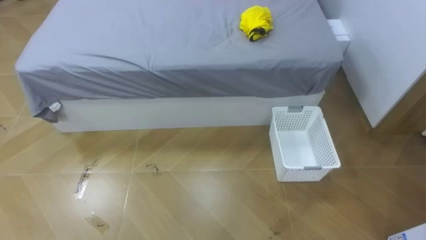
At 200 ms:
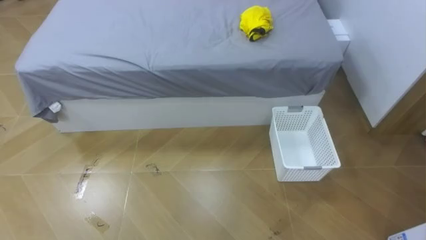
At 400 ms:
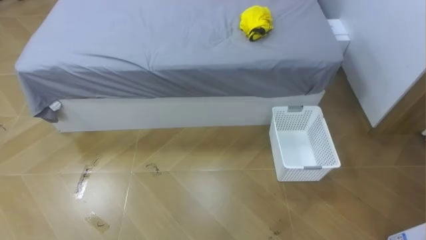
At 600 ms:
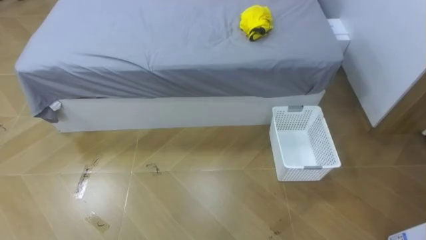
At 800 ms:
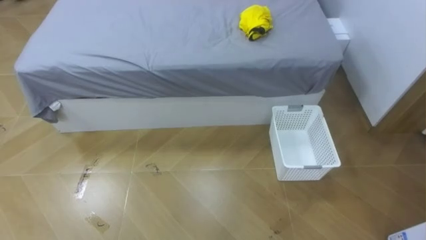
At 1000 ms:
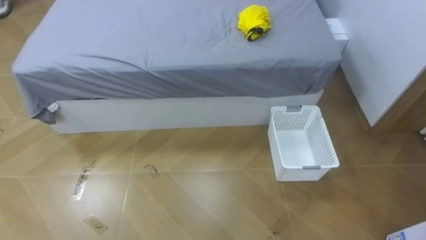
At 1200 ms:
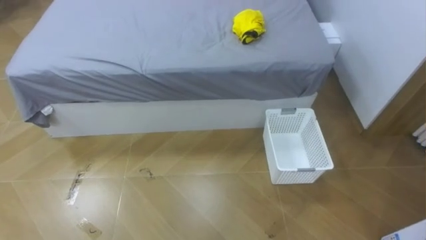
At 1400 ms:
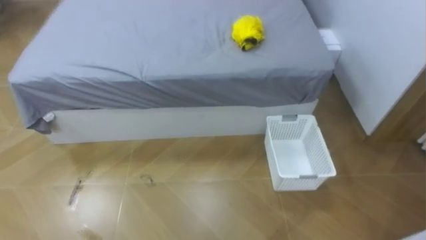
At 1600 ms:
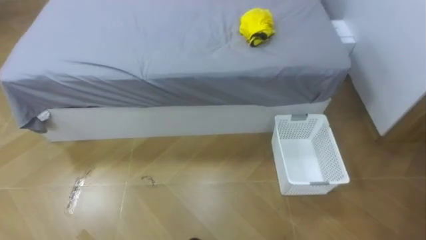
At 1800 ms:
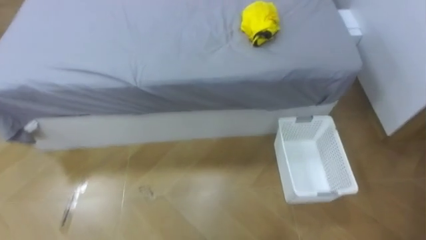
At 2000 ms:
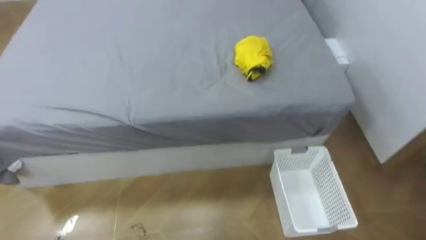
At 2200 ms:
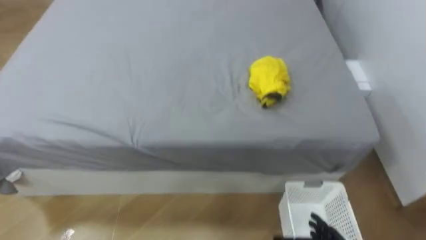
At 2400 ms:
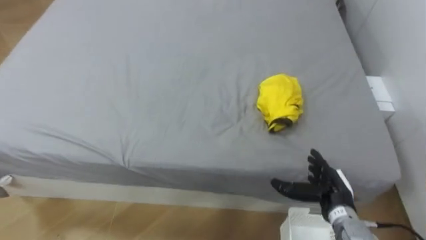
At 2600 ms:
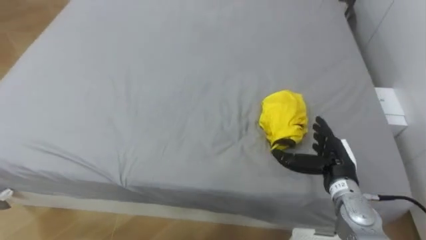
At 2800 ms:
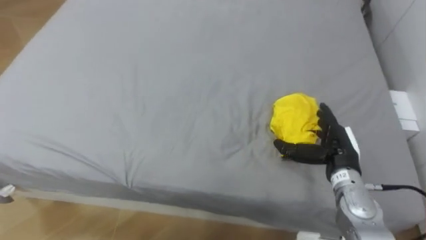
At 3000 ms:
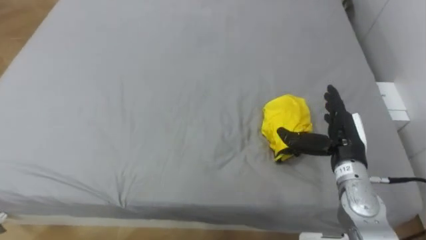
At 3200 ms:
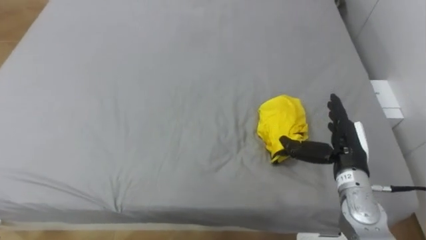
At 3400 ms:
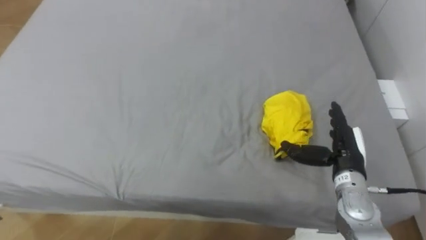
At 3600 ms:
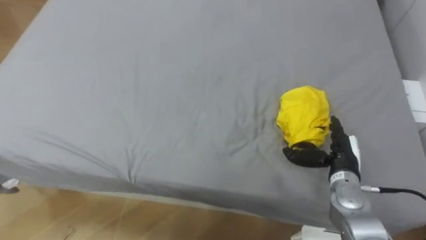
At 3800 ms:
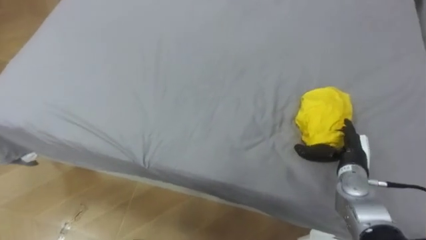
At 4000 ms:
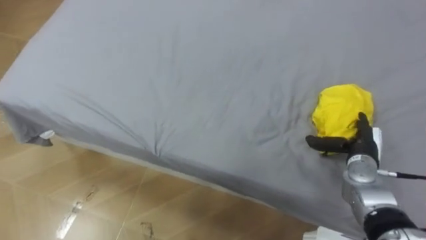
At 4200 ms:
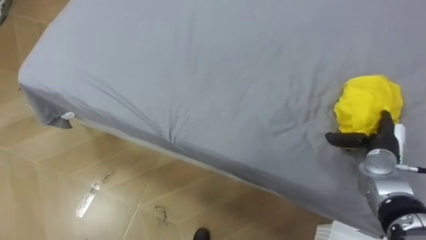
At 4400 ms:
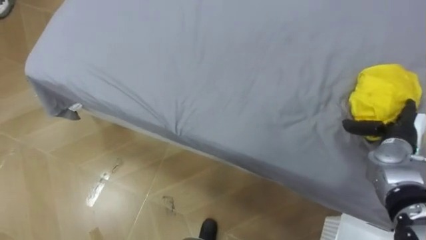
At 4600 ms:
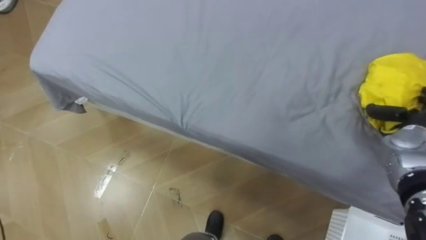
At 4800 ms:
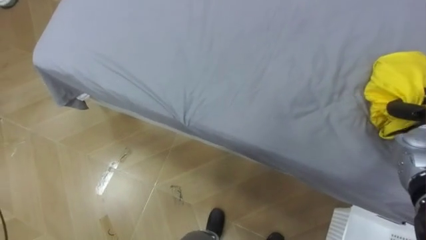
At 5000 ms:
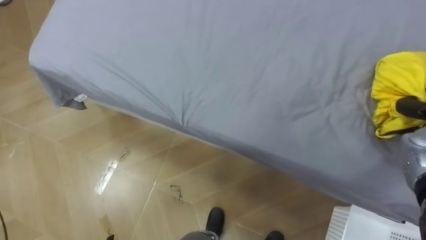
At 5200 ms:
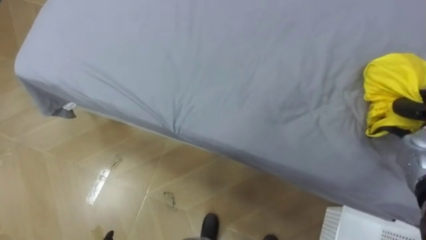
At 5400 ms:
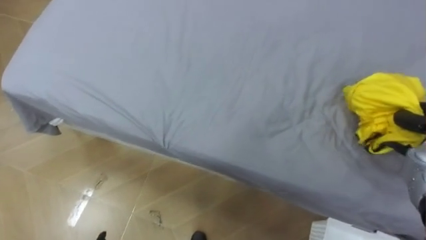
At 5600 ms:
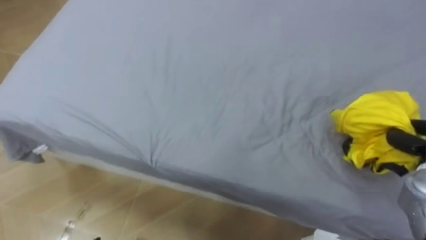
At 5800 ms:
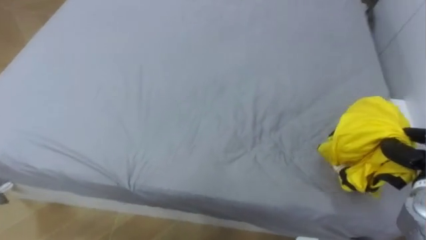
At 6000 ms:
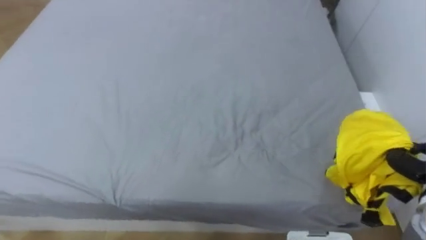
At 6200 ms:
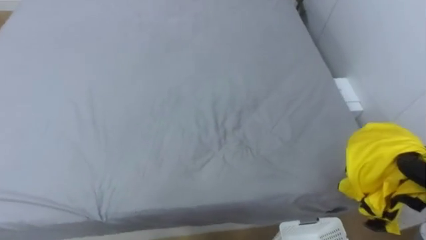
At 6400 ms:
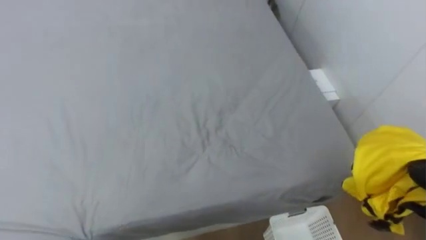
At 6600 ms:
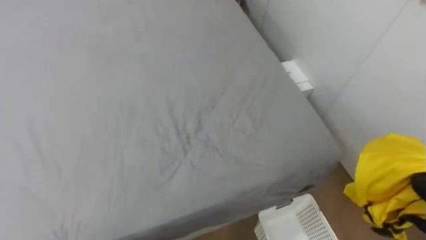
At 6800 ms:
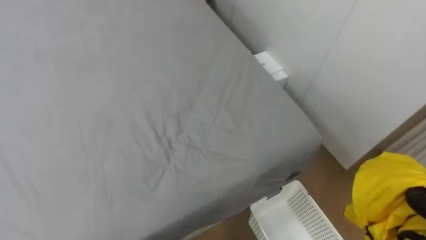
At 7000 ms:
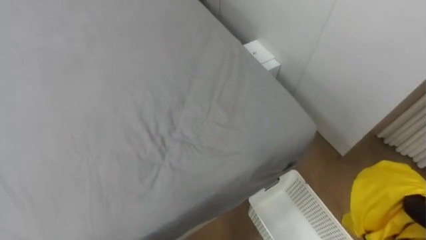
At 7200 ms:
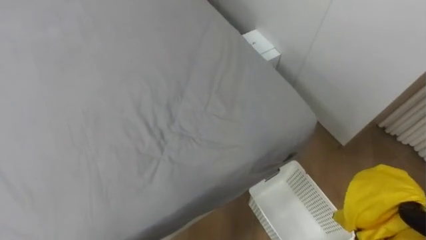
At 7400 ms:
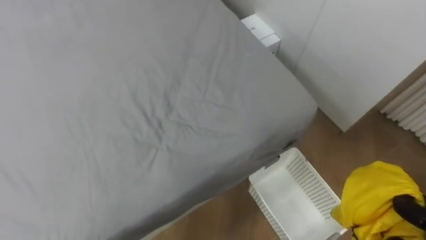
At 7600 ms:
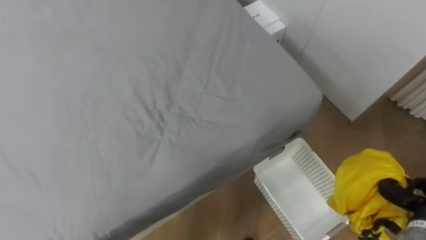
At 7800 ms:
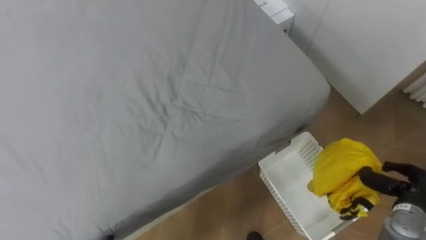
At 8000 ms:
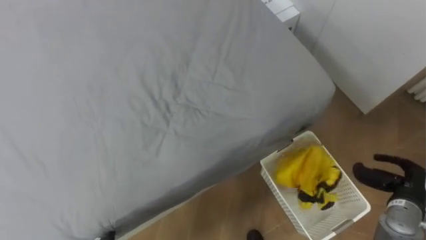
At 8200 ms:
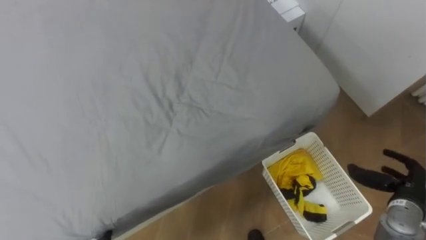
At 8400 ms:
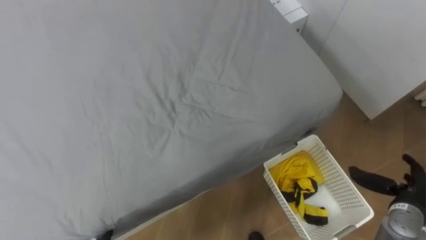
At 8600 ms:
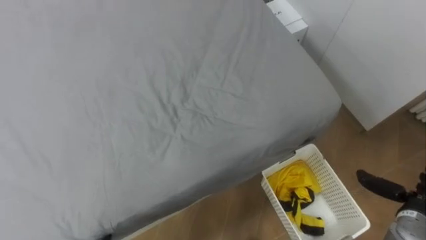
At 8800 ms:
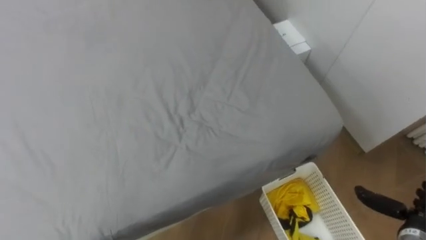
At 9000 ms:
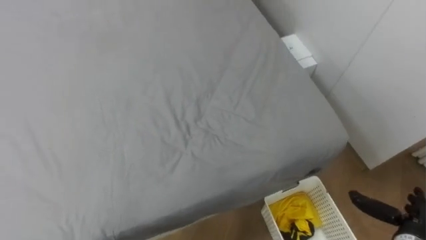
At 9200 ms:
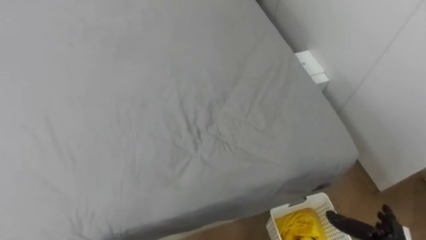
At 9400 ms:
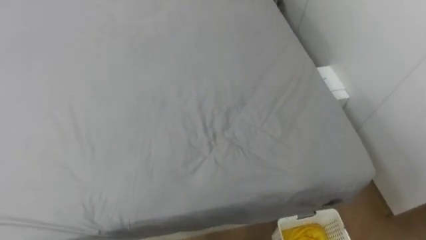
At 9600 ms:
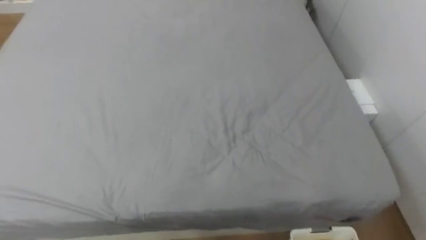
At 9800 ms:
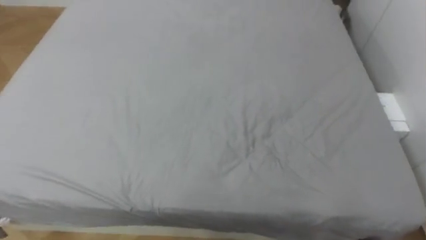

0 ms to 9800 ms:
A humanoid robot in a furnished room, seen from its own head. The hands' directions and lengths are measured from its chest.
Task of the whole recording: Pick up the yellow clothes on the bed and place them into the white basket on the right.
2800 ms to 4200 ms: The right hand shifts about 10 cm to the right.
8400 ms to 9800 ms: The robot rotates roughly 20 degrees to its left.

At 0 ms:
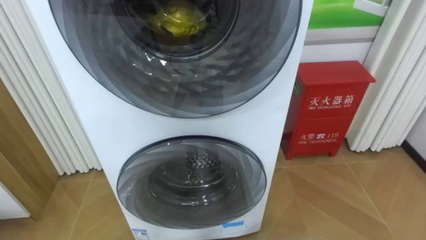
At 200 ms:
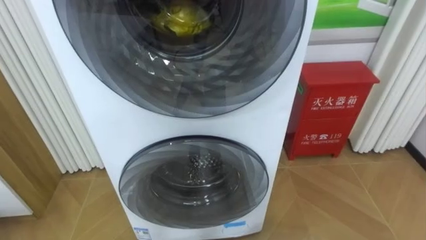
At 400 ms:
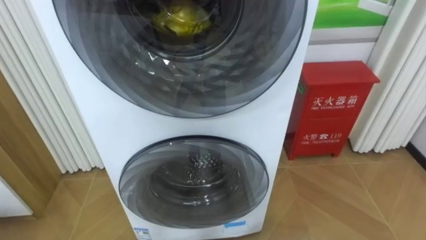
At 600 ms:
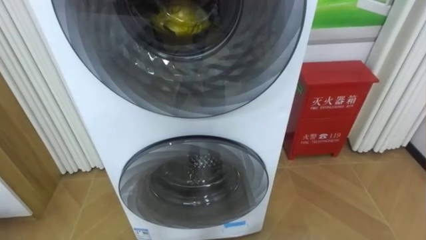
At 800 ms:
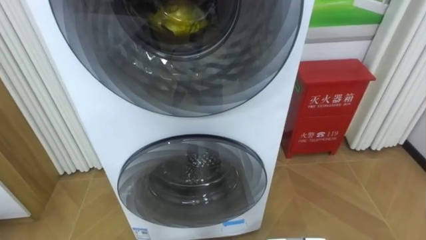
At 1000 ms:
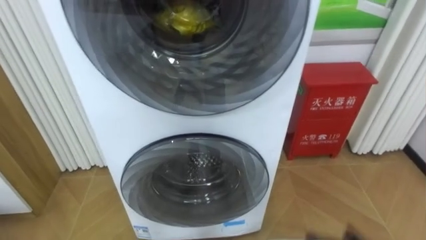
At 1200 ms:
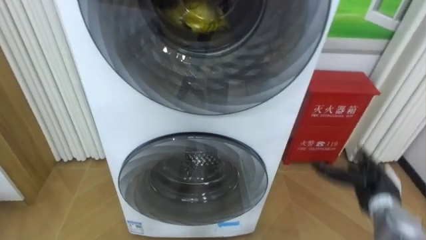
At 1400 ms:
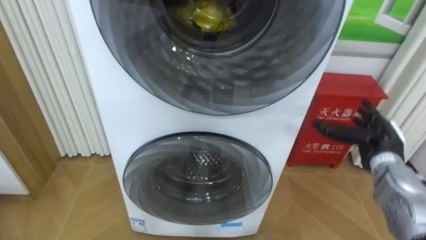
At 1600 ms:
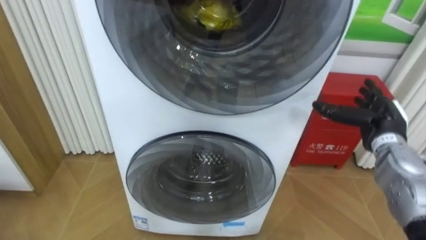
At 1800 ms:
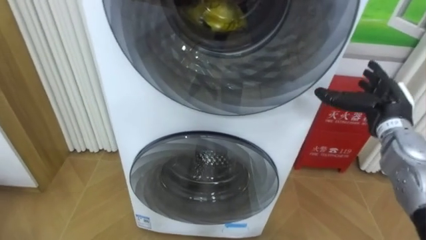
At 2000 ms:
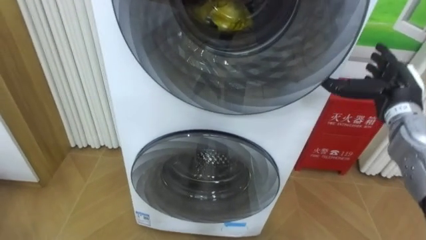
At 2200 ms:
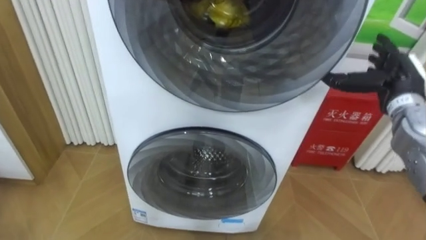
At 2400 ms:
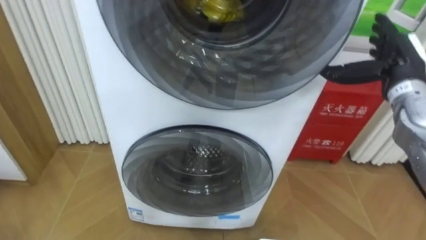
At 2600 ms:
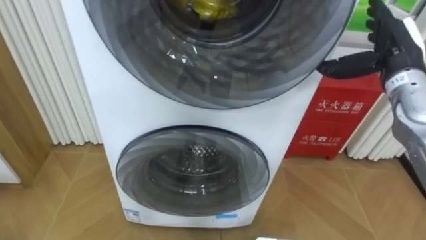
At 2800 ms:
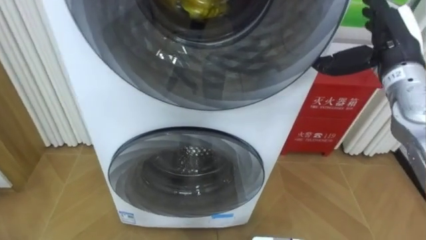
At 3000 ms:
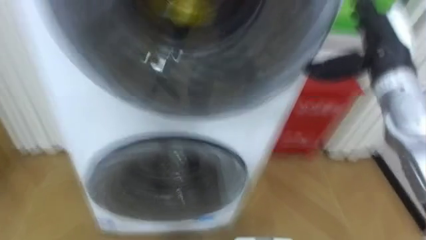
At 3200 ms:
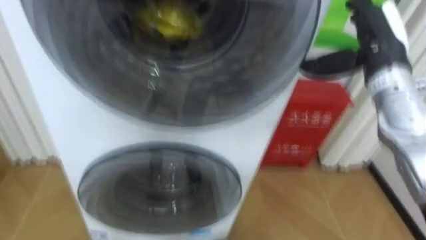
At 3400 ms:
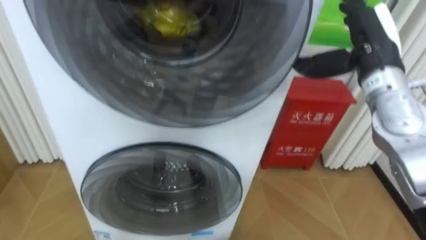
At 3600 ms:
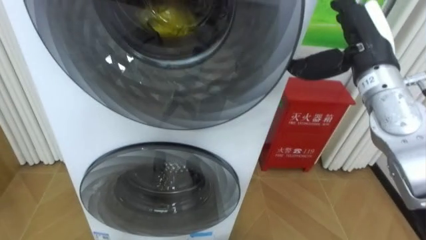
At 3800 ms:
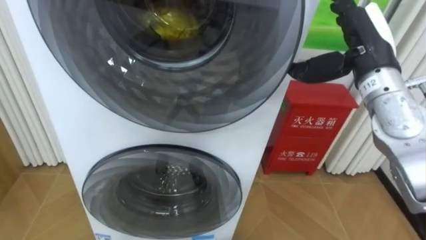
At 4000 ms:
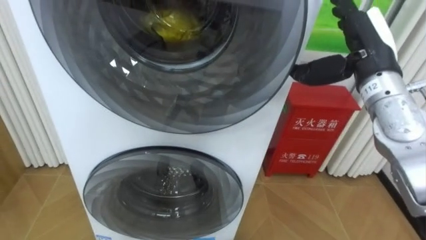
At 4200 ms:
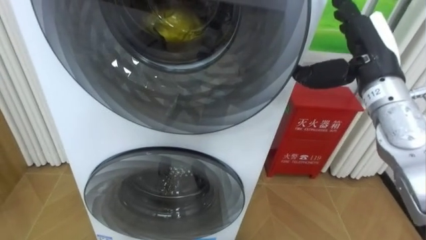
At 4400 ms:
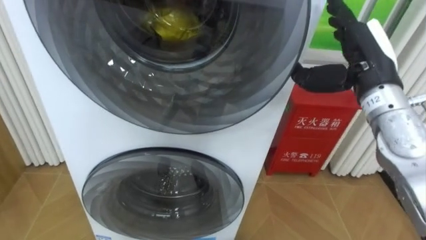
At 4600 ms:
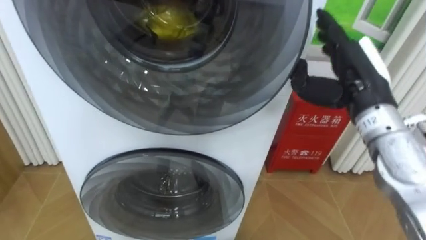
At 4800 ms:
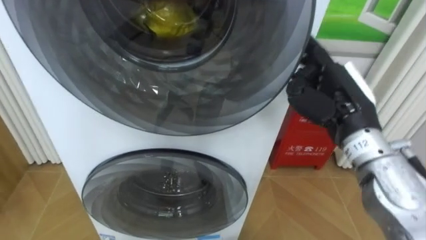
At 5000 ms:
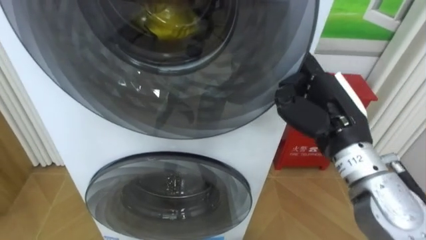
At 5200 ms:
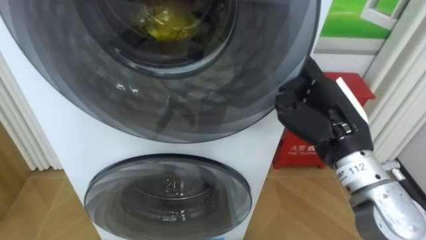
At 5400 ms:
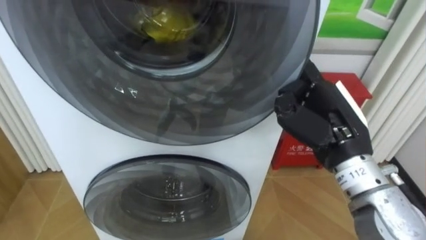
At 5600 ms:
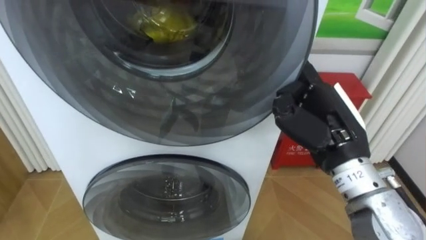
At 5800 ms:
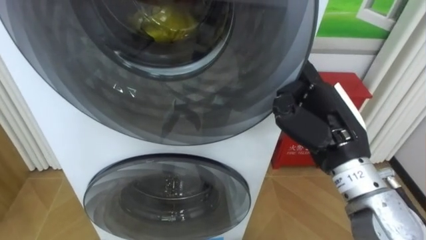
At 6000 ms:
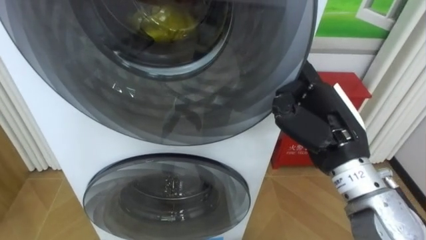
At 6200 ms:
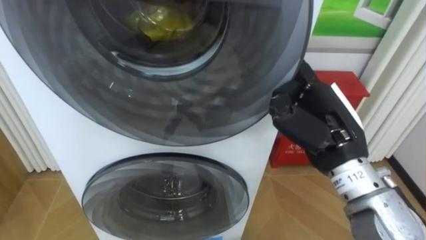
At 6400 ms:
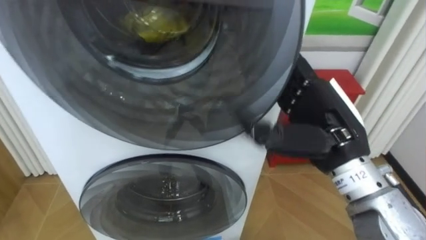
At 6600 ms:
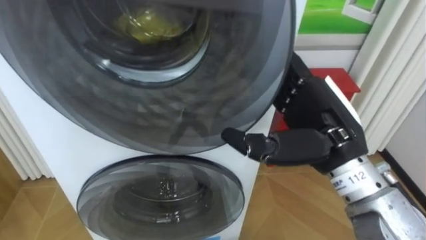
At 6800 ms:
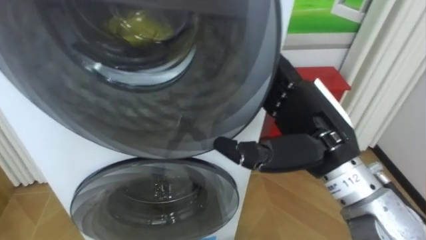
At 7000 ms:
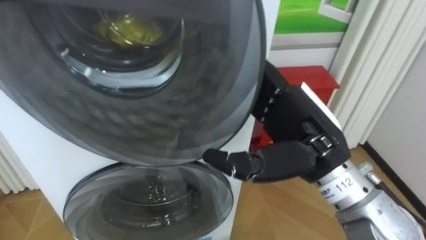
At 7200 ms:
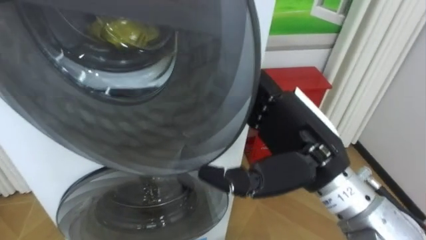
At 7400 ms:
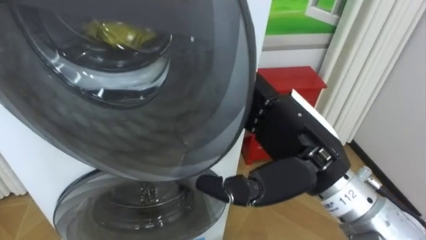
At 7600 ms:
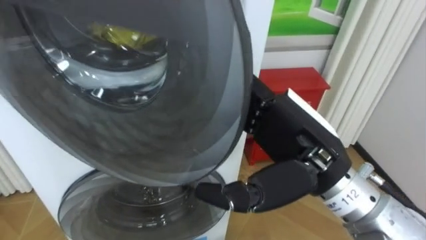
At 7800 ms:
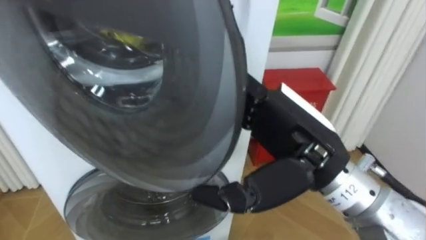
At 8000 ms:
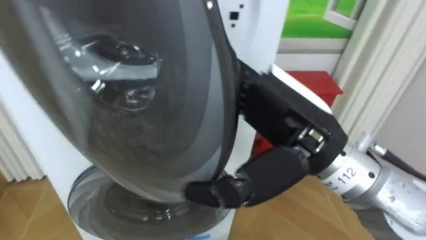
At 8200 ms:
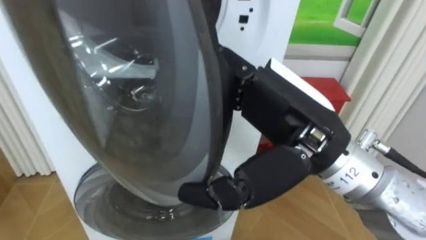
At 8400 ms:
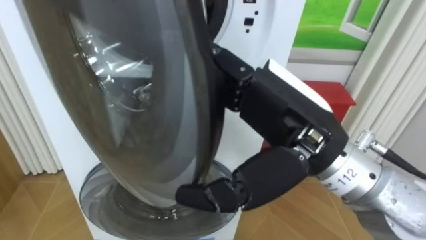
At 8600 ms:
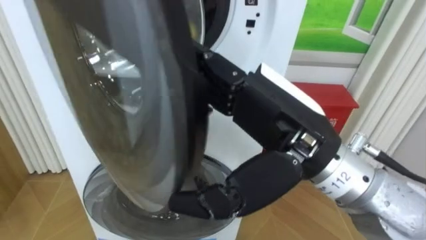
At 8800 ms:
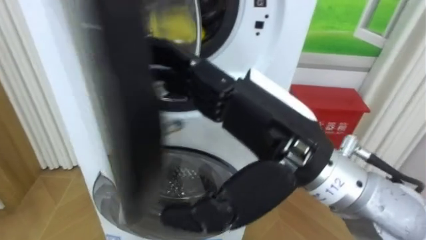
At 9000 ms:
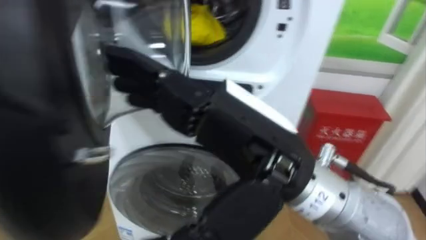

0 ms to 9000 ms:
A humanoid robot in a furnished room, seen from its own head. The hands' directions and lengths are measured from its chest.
Task of the whole recording: Open the washing machine door, take out the yellow clothes, place them in the box on the right, and close the washing machine door.
1600 ms to 3000 ms: The right hand shifts roughly 15 cm upward.
4400 ms to 6000 ms: The right hand heads backward and to the left, covering some 10 cm.
6000 ms to 7600 ms: The right hand travels to the left by approximately 5 cm.
7600 ms to 9000 ms: The right hand moves to the left, about 5 cm.
